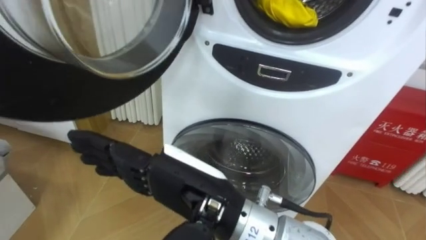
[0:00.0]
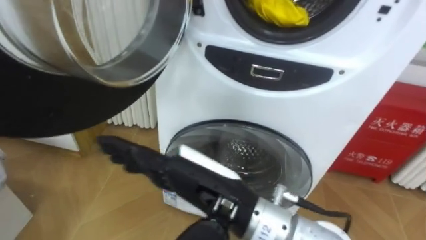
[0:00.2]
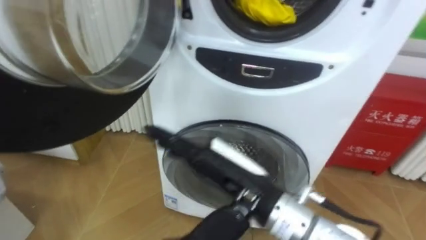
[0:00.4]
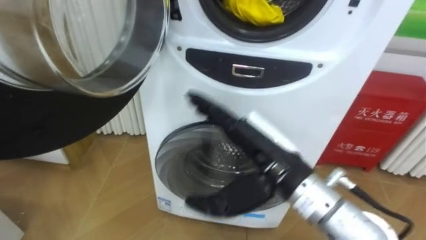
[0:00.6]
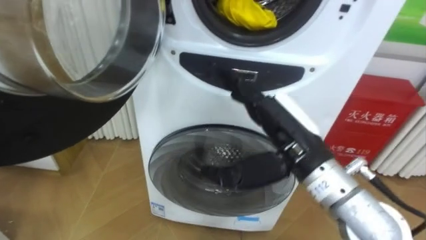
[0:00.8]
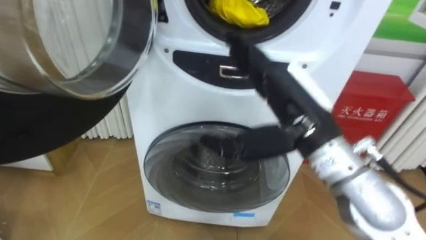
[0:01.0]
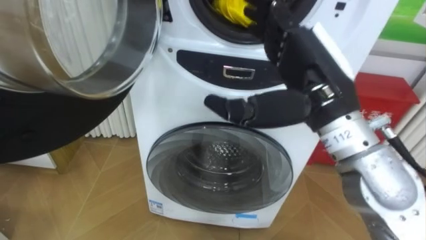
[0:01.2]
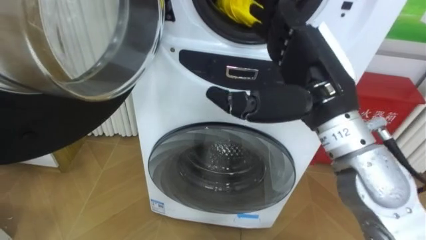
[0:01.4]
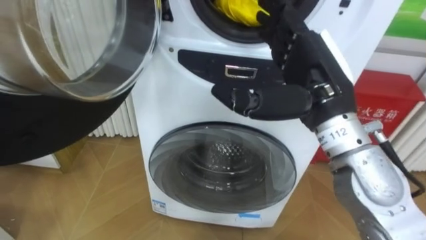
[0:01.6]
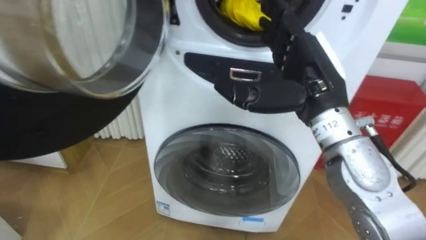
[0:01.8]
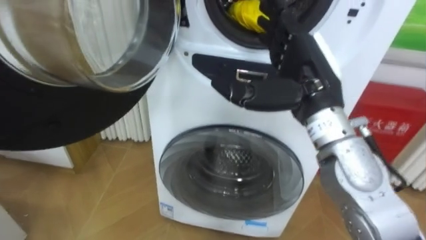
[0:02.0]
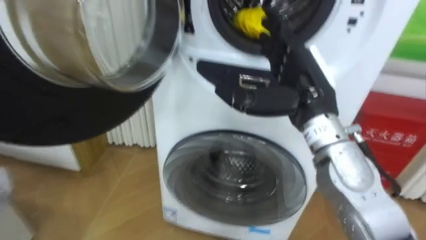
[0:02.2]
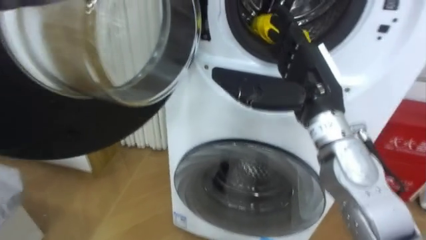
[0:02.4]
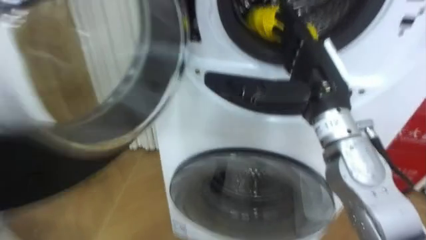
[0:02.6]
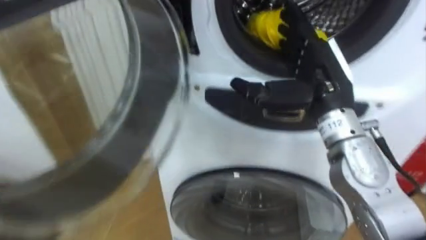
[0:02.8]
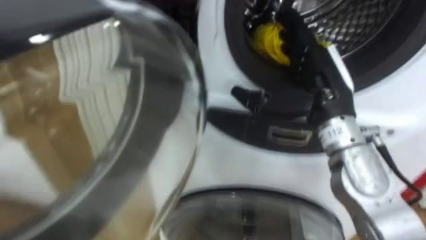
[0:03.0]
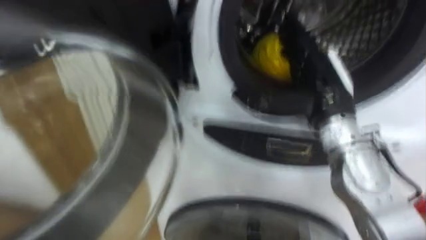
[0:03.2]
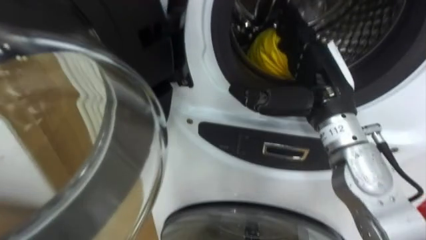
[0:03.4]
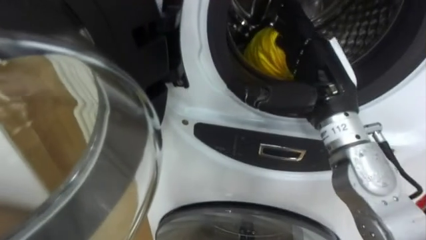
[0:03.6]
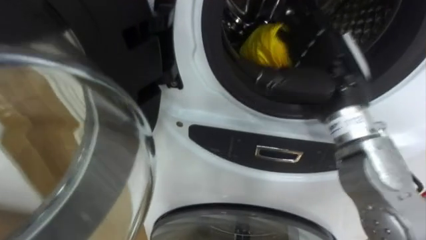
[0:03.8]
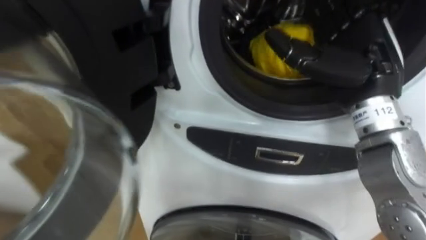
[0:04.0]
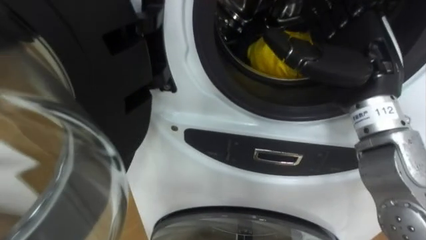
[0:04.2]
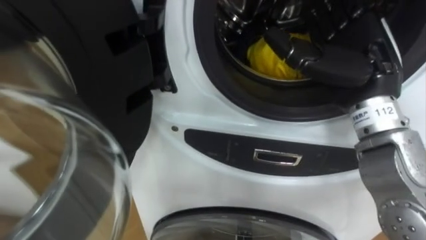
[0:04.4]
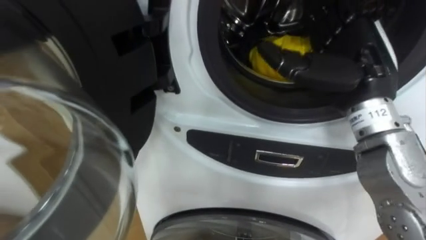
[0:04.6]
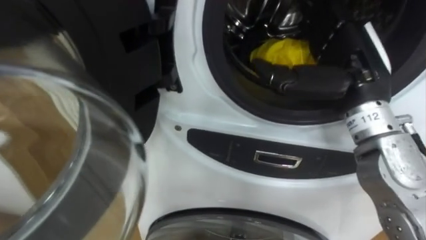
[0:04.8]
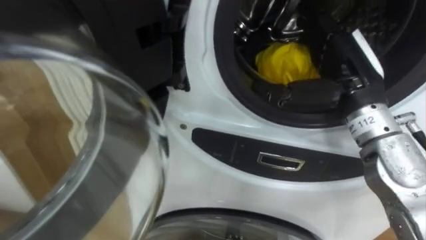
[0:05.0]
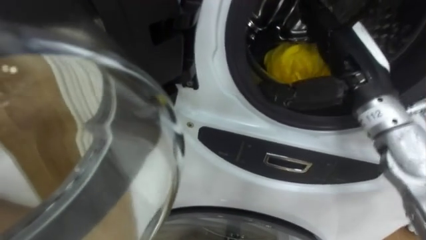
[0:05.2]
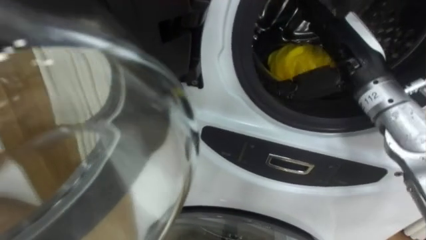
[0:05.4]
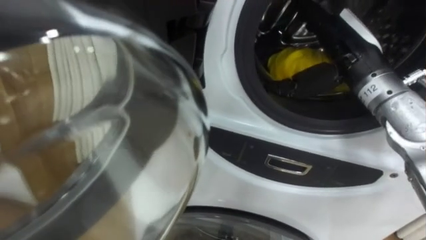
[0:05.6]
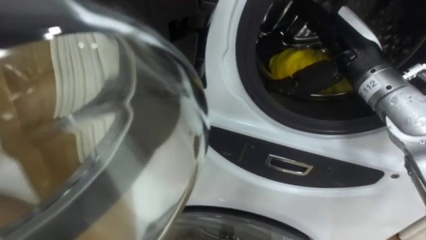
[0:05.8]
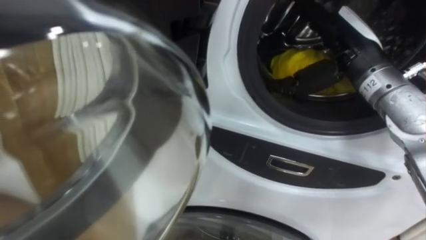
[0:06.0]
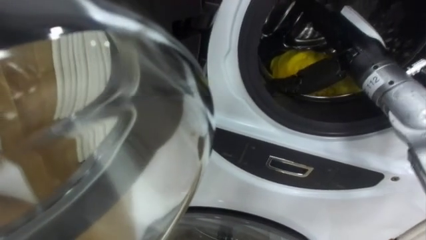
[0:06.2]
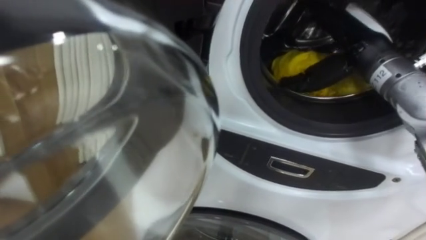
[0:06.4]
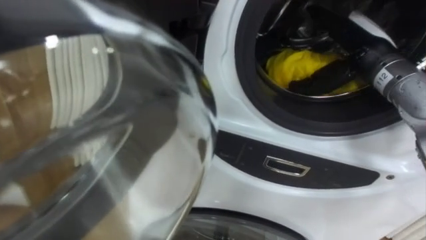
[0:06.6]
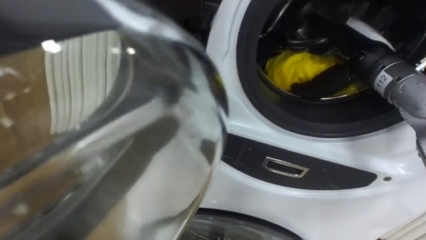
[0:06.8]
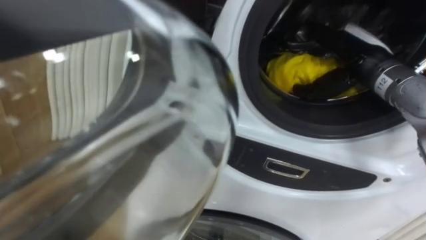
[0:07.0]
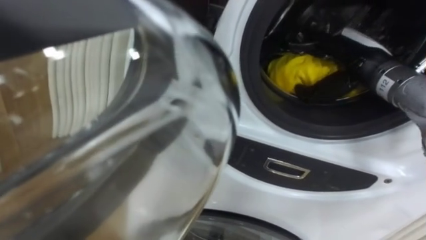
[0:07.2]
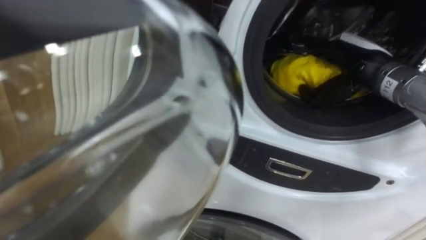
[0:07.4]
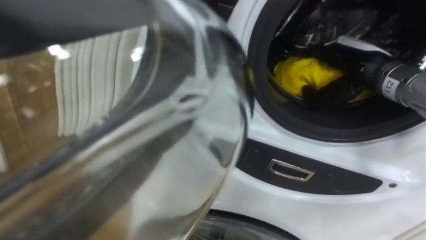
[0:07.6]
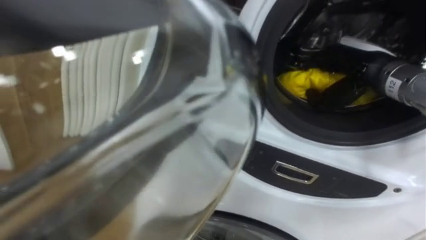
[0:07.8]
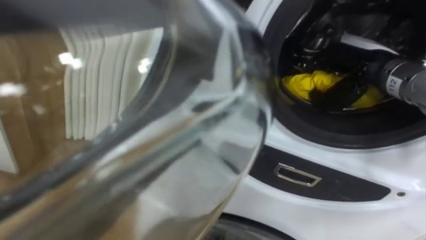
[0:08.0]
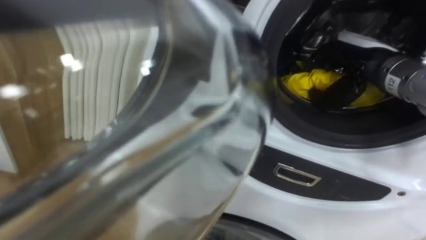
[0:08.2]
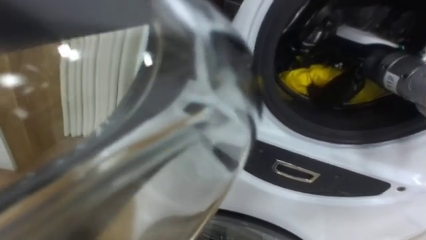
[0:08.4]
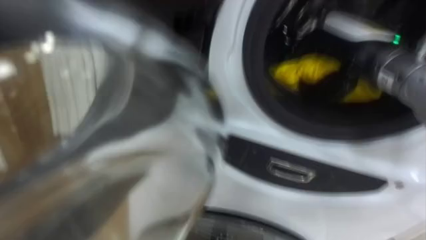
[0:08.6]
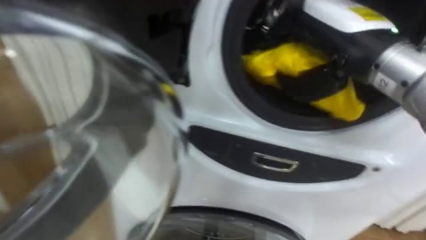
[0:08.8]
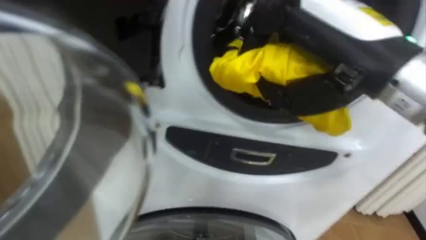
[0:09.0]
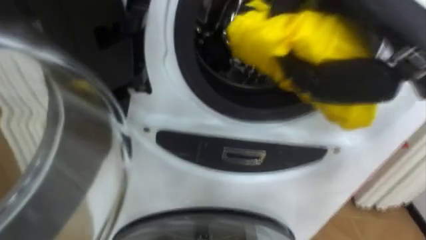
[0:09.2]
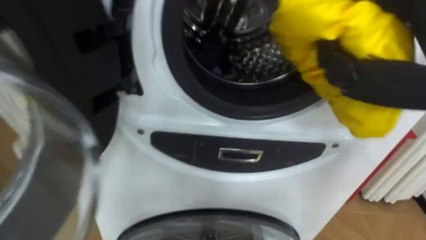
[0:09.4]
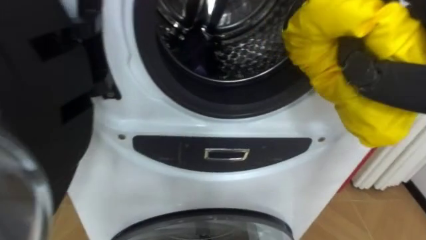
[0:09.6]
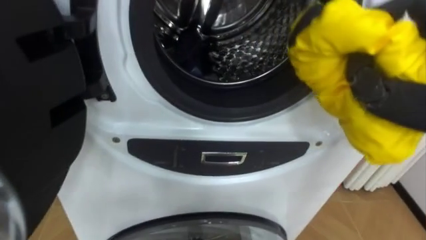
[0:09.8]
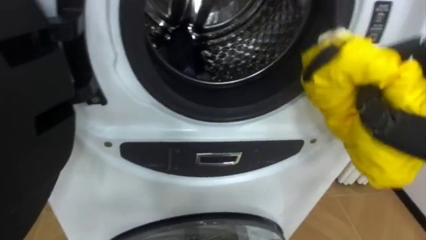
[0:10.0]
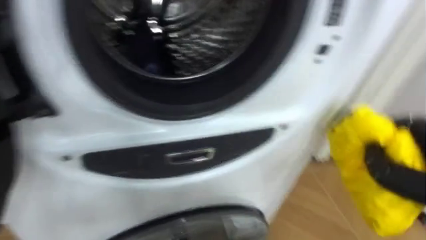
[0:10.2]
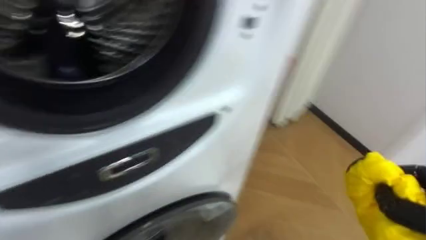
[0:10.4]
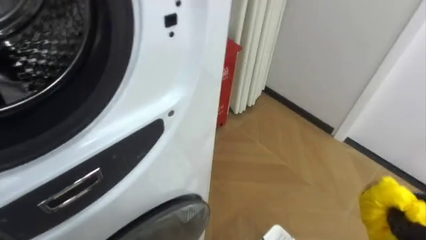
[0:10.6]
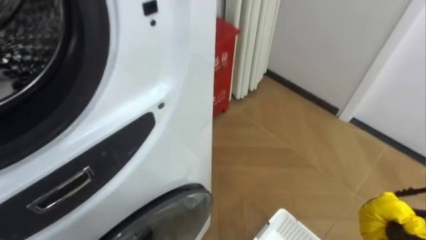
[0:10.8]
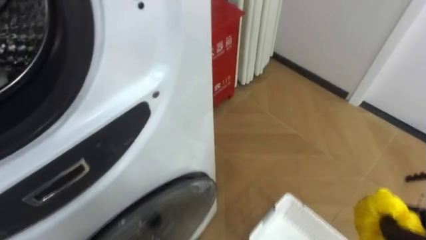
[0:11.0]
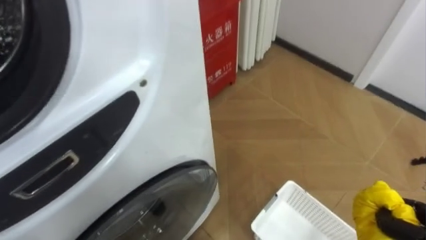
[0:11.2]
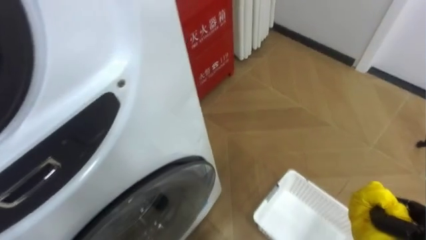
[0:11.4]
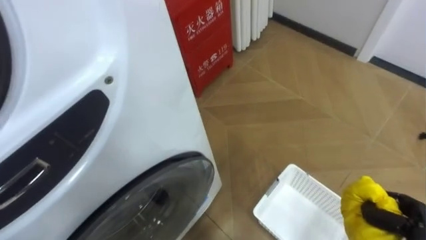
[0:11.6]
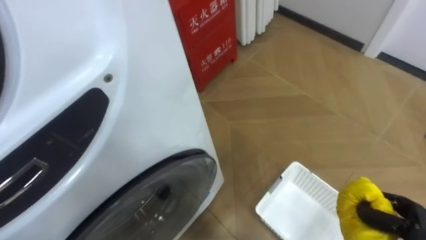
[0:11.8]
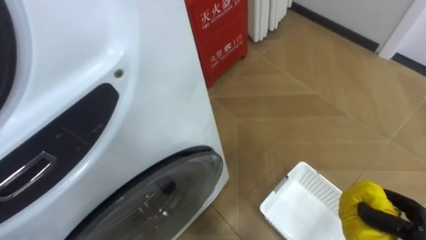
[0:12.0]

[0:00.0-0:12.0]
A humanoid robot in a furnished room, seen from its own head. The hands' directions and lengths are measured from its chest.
Task of the whole recording: Open the washing machine door, take out the yellow clothes, place them in the box on the right, and close the washing machine door.
0:00.0 to 0:01.6: The right hand shifts approximately 20 cm to the right and forward.
0:01.6 to 0:03.0: The right hand shifts by approximately 5 cm.
0:03.0 to 0:04.4: The right hand shifts by approximately 5 cm.
0:04.4 to 0:06.0: The right hand heads forward, covering some 5 cm.
0:06.0 to 0:07.6: The right hand changes place by about 5 cm.
0:07.6 to 0:09.0: The right hand shifts approximately 20 cm backward, upward and to the left, and closes up.

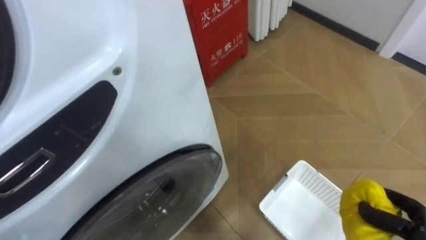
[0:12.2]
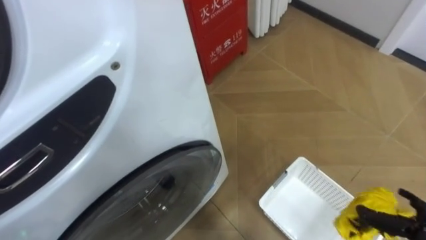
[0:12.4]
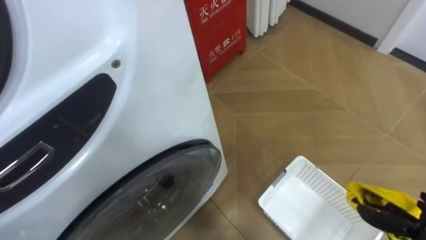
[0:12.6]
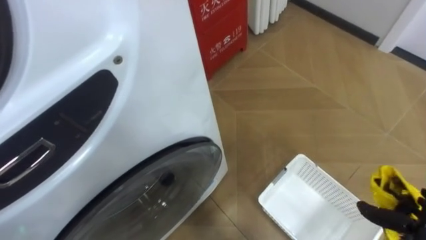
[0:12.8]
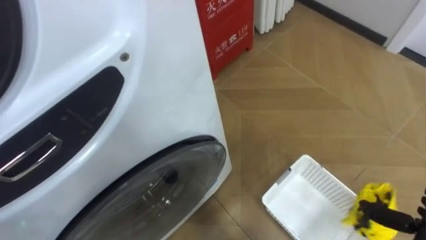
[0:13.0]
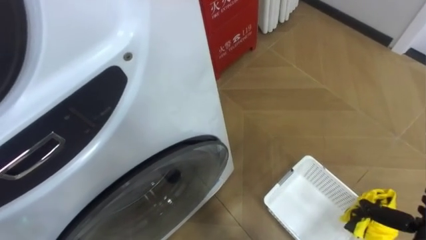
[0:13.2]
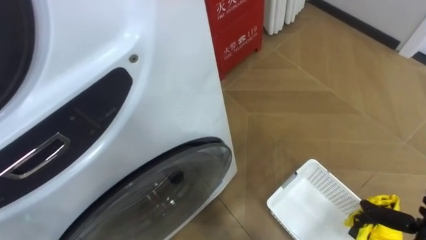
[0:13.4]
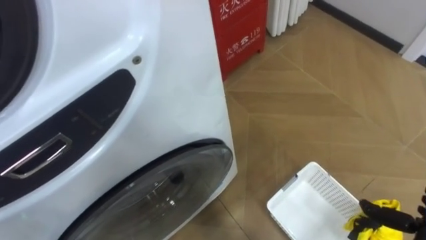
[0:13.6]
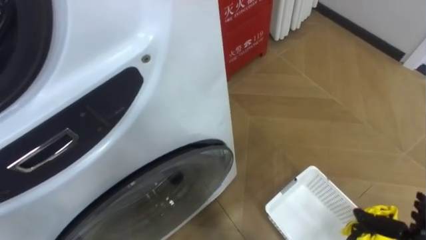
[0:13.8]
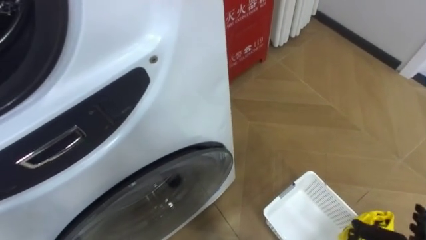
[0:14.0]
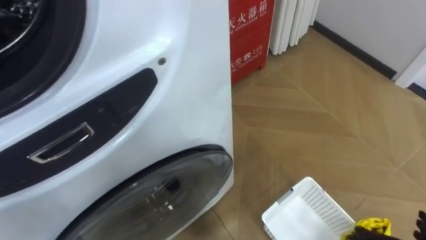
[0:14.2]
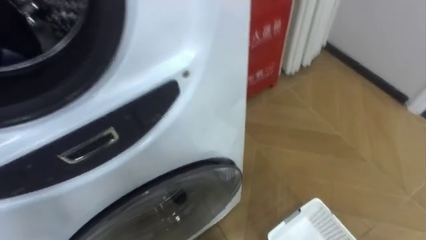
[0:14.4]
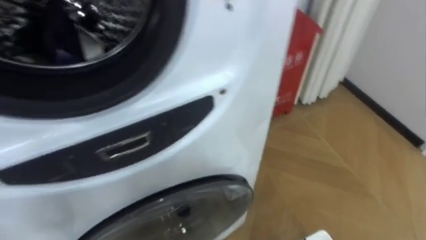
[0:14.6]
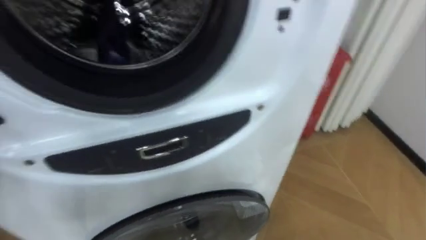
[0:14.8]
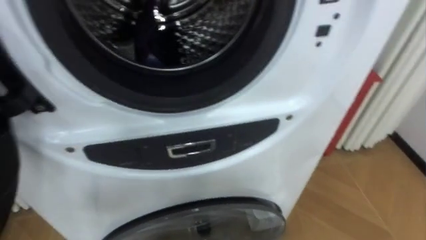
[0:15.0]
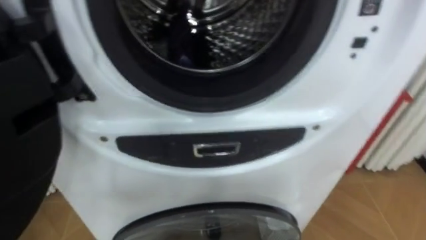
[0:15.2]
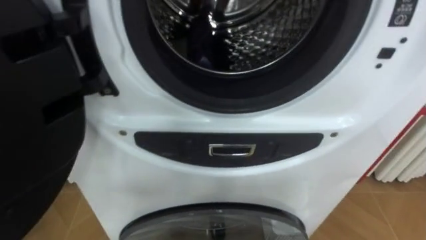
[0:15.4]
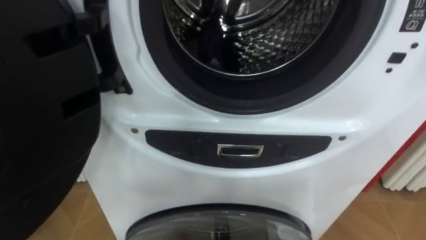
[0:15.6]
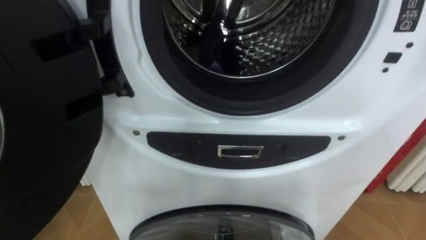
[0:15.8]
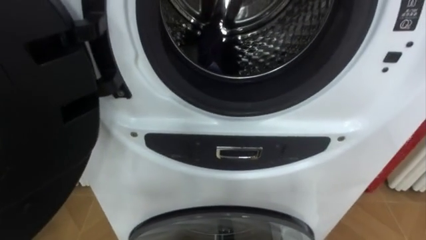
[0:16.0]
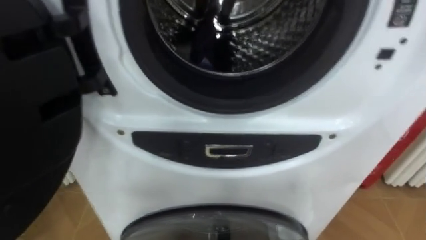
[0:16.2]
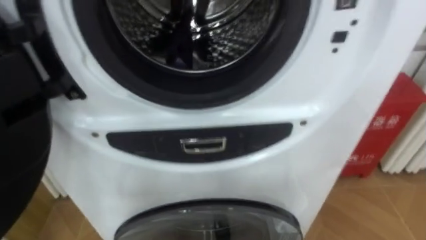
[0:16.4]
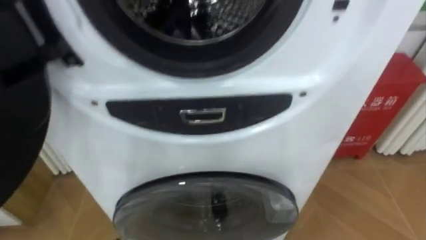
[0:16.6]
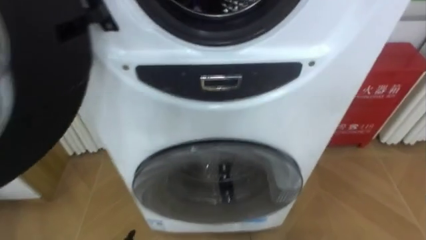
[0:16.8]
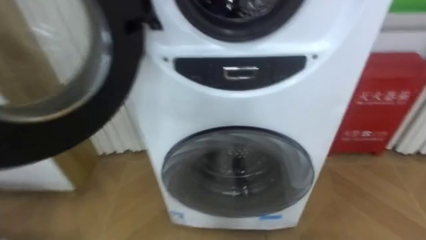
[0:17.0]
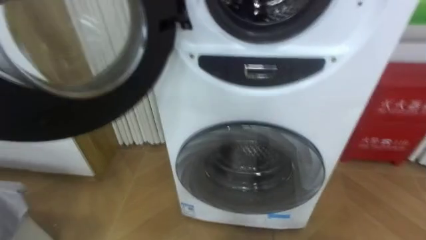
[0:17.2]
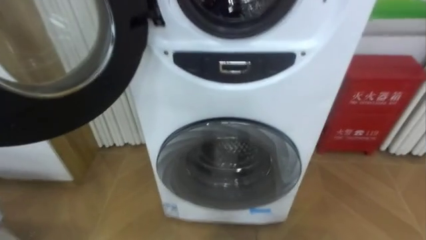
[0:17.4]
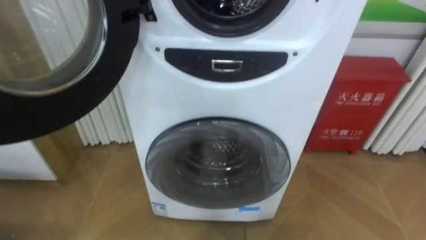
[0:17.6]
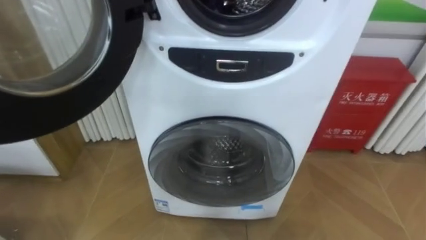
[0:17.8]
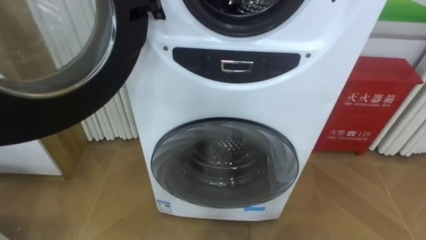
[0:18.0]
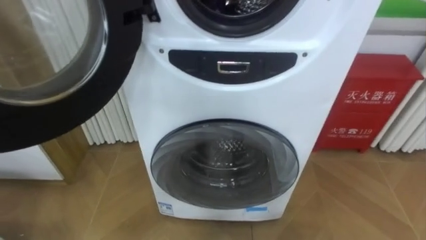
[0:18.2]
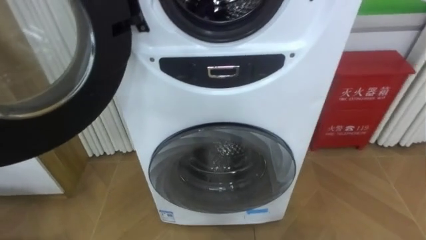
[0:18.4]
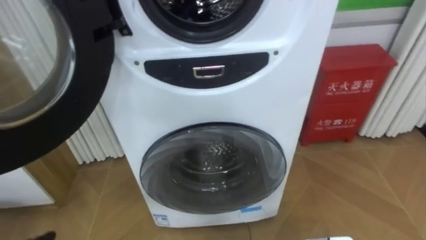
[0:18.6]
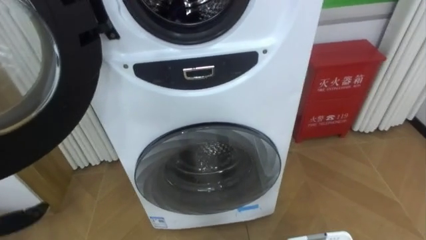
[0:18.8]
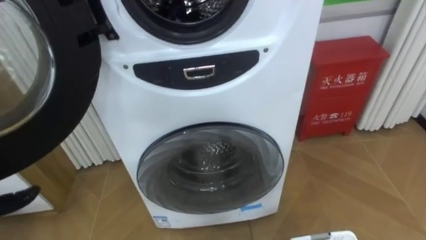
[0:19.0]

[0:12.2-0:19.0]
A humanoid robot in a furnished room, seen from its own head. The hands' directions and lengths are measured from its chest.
Task of the whole recording: Open the washing machine door, take out the yellow clothes, place them in the box on the right, and close the washing machine door.
0:12.2 to 0:13.6: The right hand opens.
